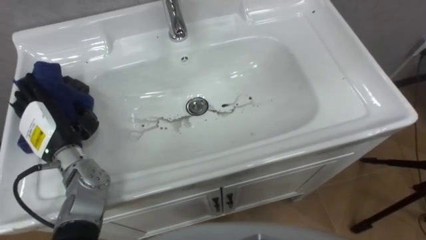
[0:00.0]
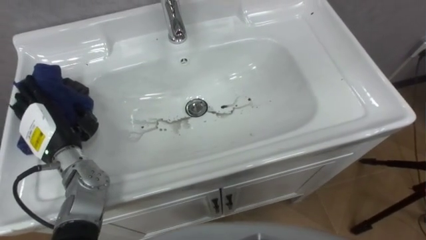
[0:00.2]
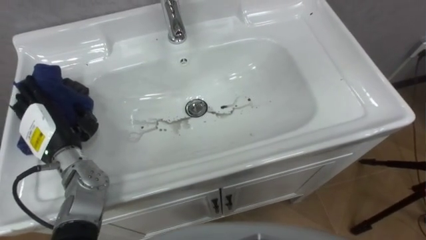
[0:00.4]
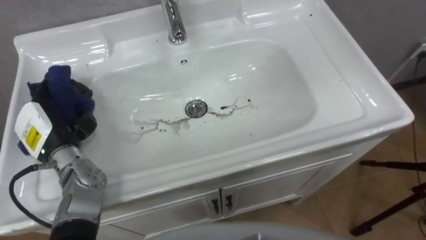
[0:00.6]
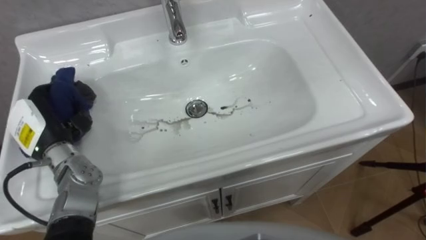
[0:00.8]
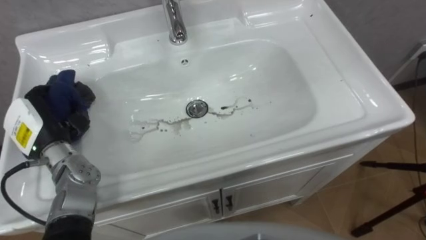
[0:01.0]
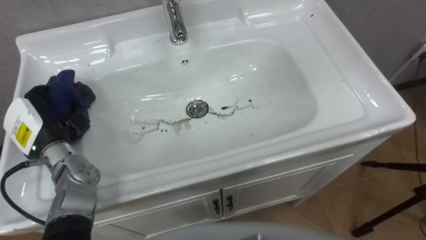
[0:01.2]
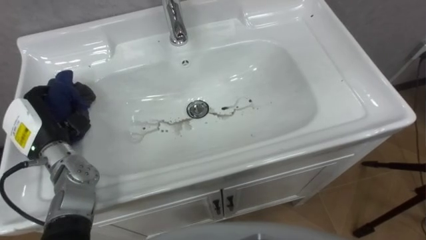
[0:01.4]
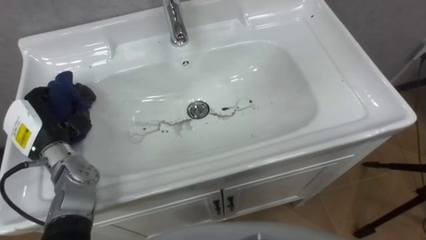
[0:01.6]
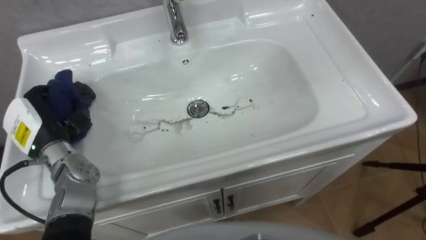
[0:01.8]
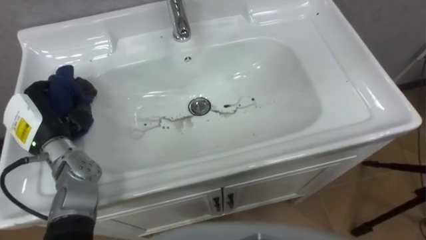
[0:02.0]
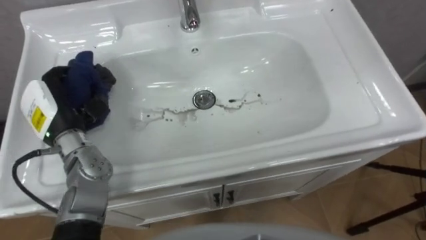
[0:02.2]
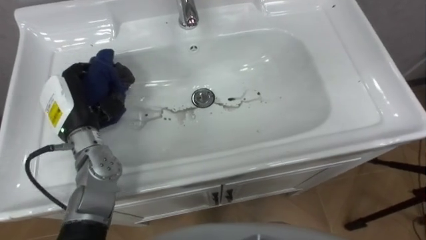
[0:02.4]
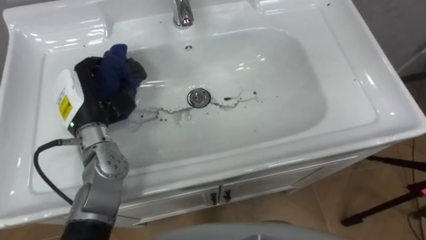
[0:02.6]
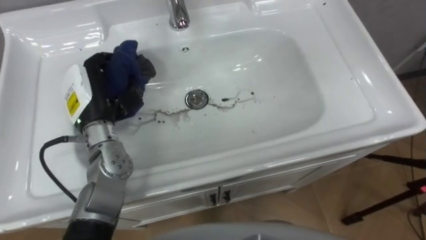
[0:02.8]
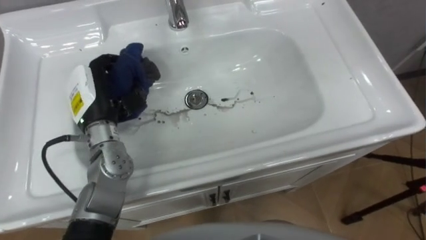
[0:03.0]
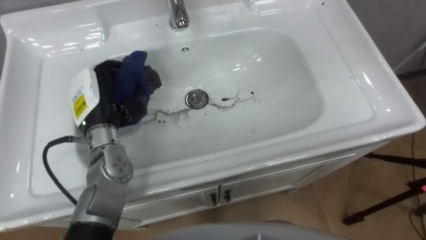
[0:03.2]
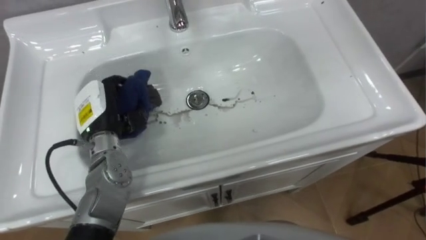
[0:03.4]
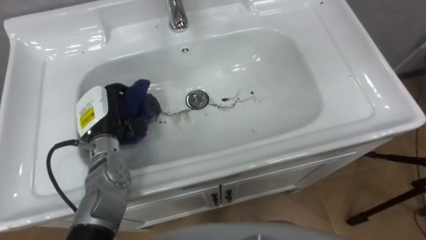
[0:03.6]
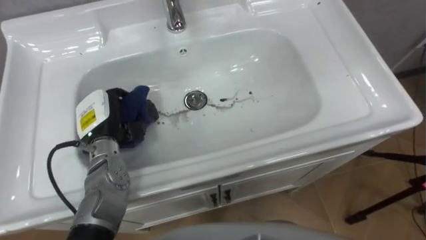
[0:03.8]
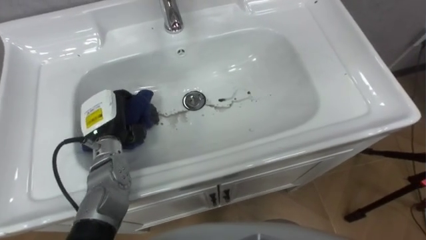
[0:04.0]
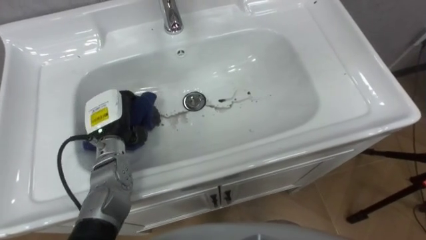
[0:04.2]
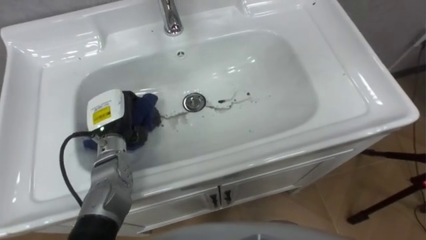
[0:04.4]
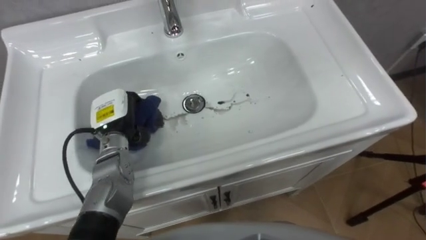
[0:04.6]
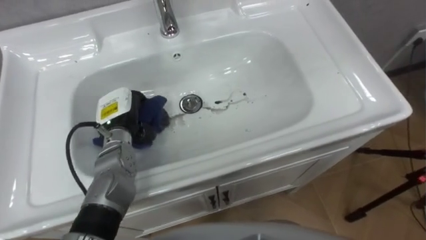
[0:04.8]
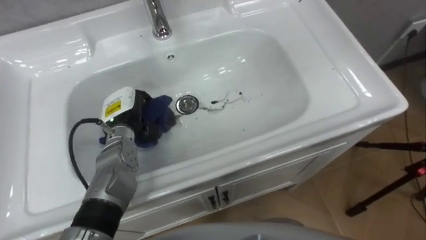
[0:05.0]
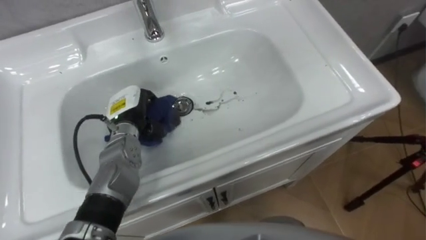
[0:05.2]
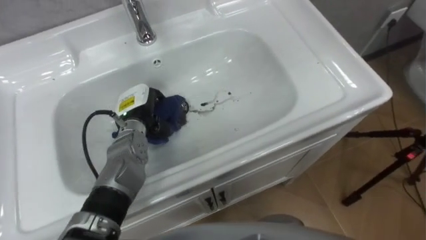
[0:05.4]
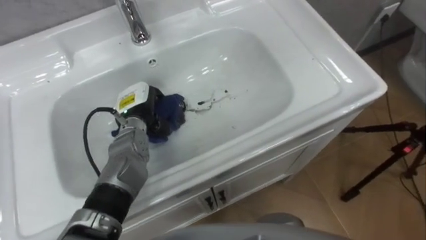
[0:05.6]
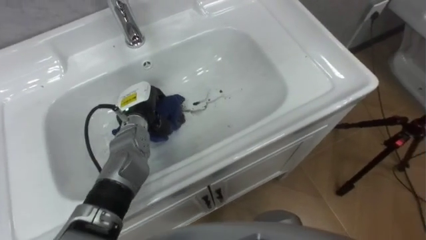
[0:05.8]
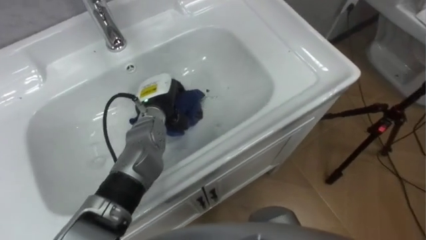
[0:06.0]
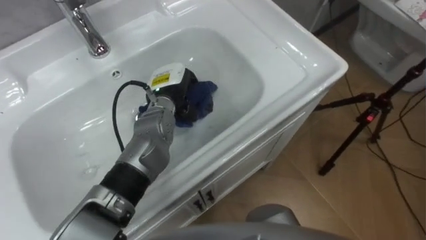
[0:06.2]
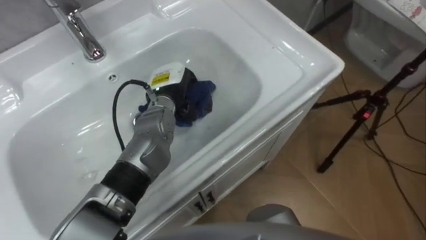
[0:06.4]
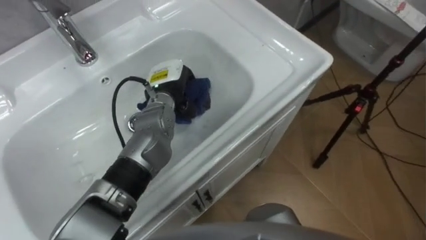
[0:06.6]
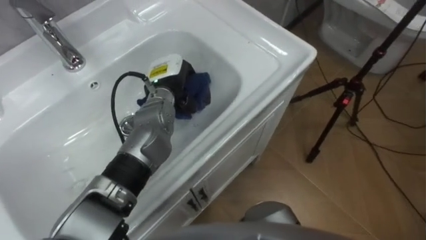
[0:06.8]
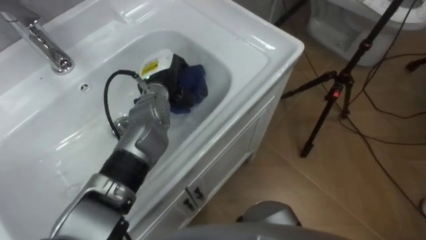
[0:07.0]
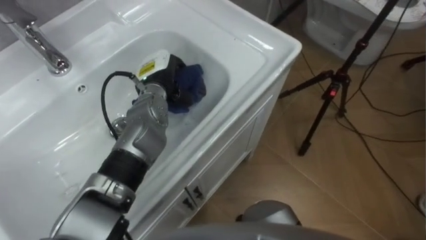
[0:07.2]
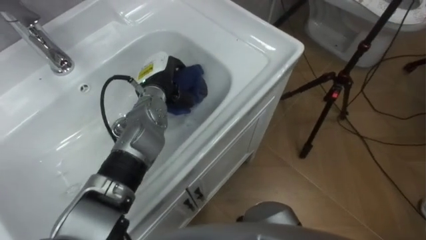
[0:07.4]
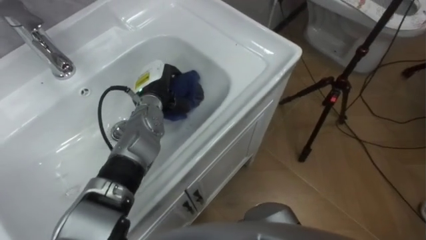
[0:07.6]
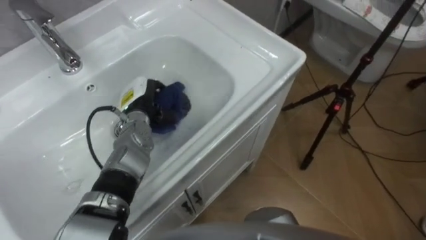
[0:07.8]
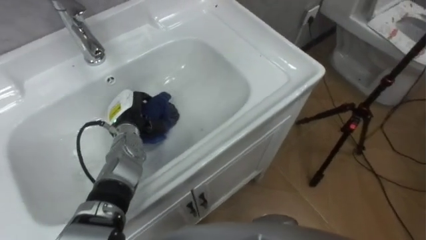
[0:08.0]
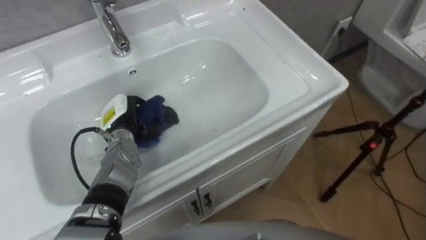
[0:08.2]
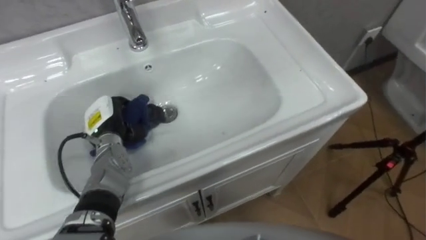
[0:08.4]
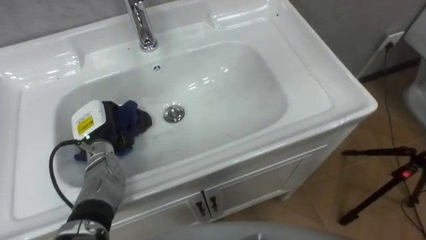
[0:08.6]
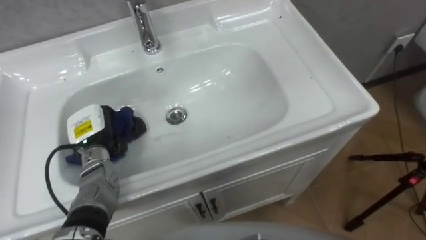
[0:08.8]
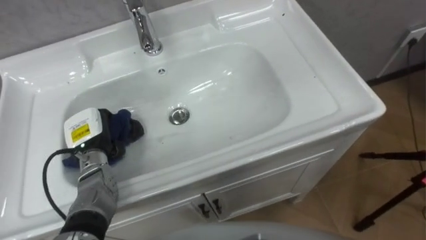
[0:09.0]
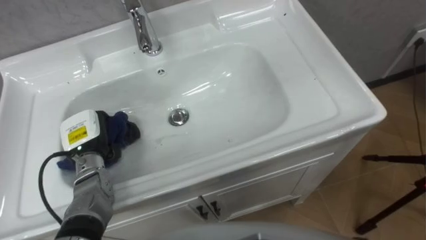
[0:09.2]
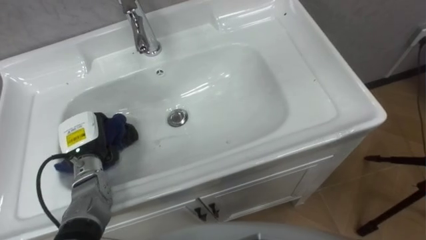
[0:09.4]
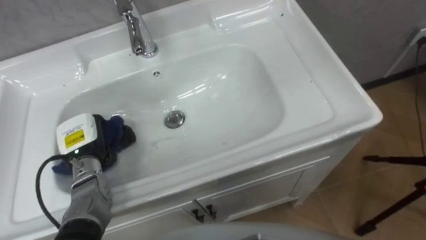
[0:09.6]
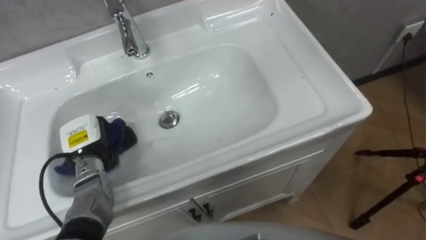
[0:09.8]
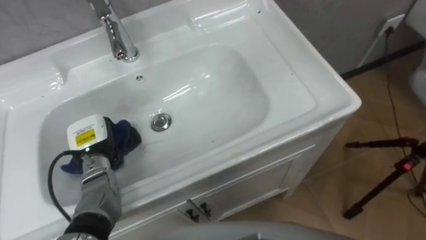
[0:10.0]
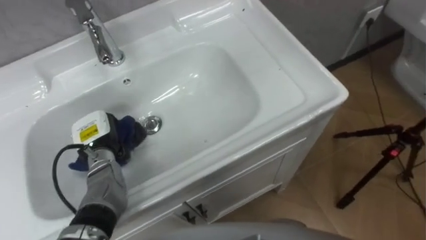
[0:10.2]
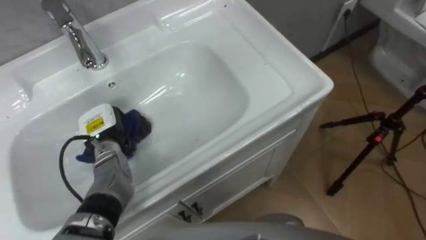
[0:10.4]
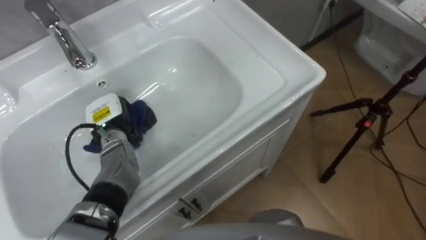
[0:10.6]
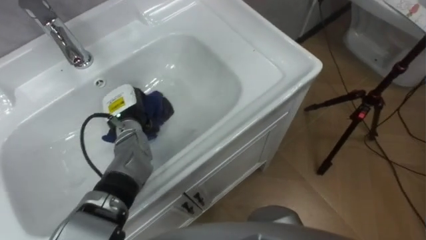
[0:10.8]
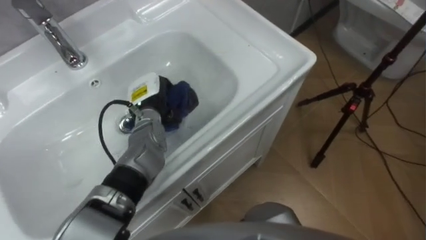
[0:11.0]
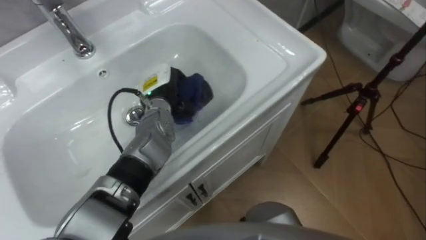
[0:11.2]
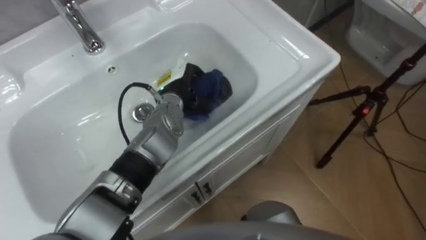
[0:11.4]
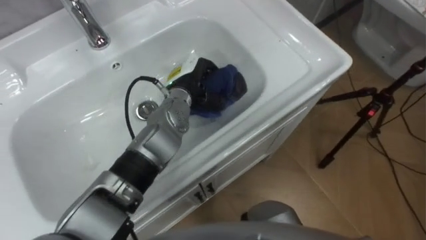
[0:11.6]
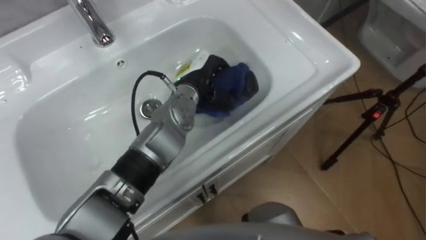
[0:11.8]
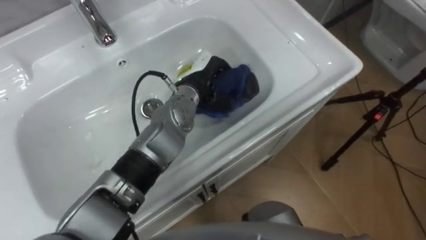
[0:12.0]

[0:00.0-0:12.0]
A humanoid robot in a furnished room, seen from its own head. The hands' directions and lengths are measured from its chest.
Task of the whole recording: Use the cloth on the right to wipe away the black stain in the sink.
0:00.0 to 0:01.6: The left hand closes up.
0:01.6 to 0:03.0: The left hand moves to the right and upward, roughly 10 cm.
0:03.0 to 0:04.4: The left hand goes roughly 5 cm downward.
0:04.4 to 0:06.0: The left hand moves to the right, about 10 cm.
0:07.6 to 0:09.0: The left hand shifts roughly 20 cm to the left and backward.
0:10.4 to 0:12.0: The left hand moves to the right, upward and forward, about 25 cm.

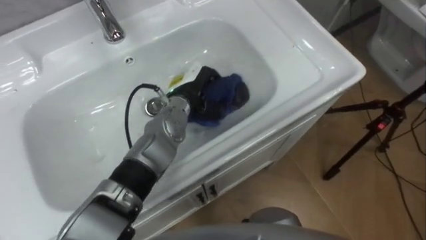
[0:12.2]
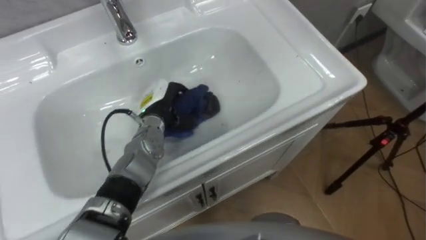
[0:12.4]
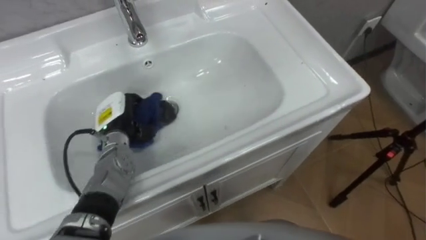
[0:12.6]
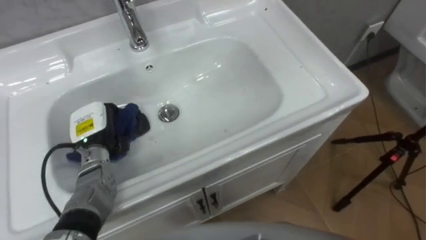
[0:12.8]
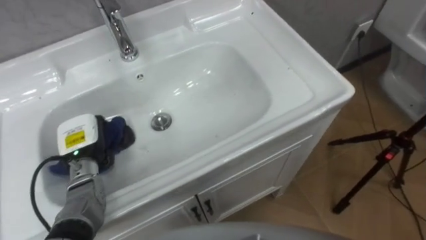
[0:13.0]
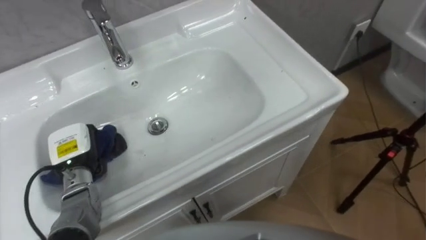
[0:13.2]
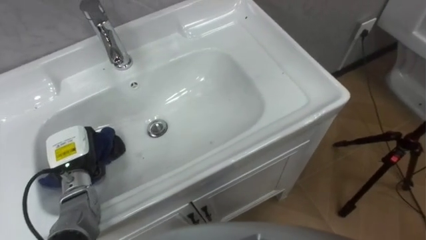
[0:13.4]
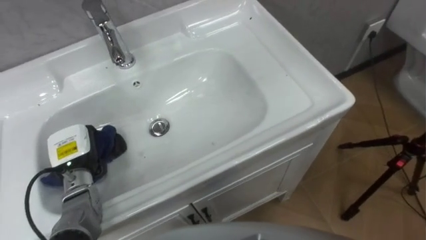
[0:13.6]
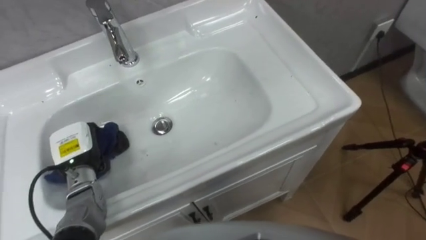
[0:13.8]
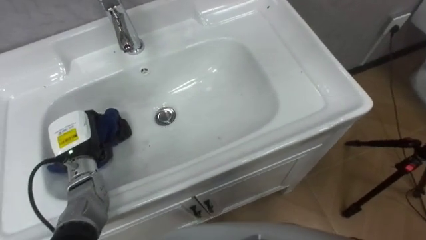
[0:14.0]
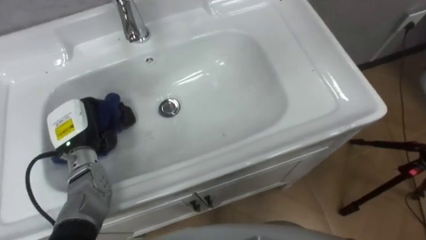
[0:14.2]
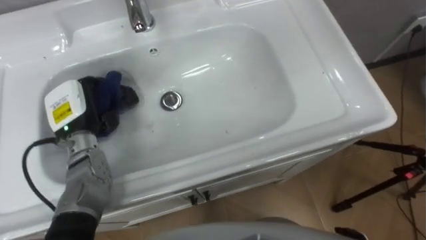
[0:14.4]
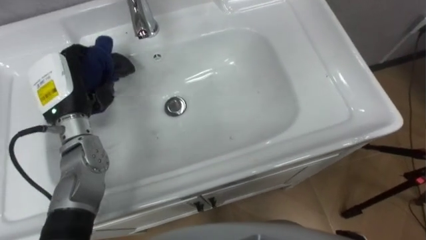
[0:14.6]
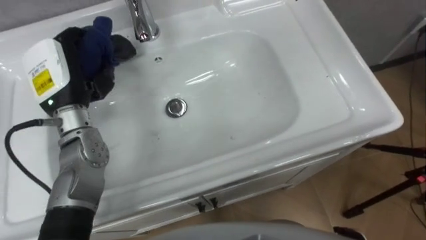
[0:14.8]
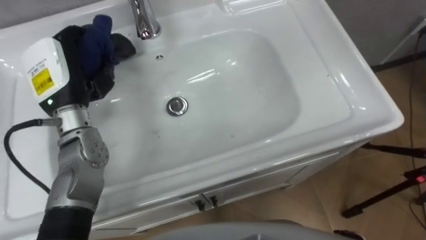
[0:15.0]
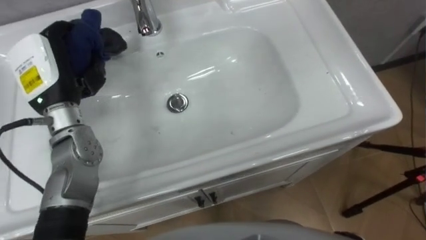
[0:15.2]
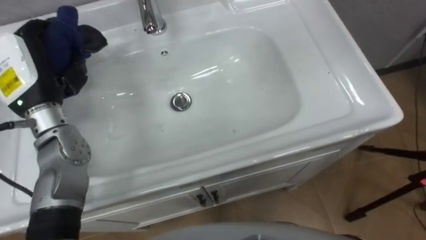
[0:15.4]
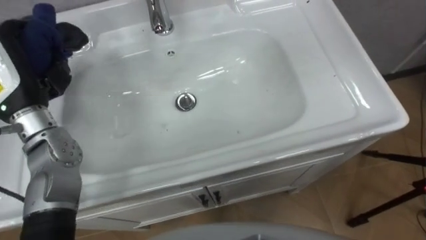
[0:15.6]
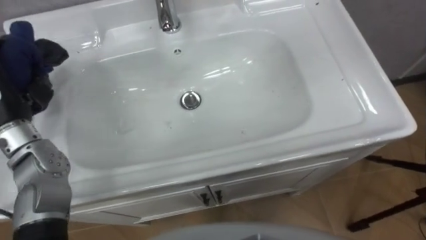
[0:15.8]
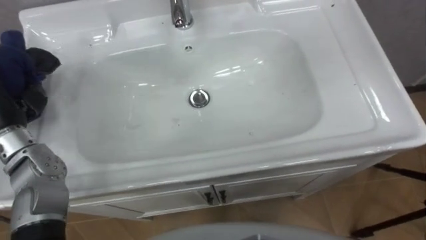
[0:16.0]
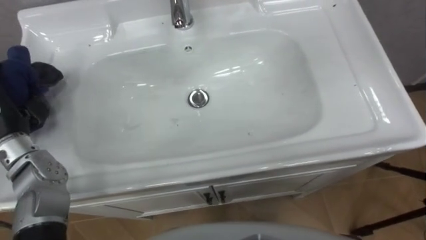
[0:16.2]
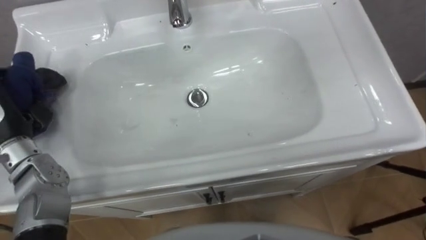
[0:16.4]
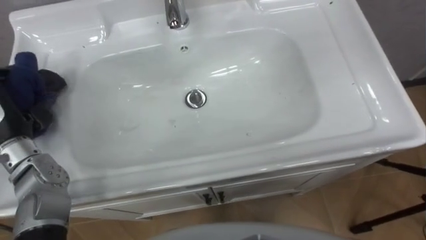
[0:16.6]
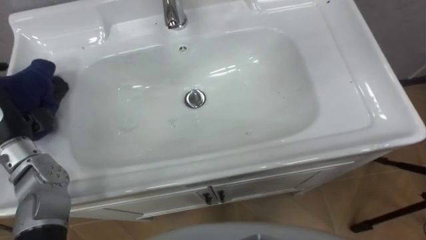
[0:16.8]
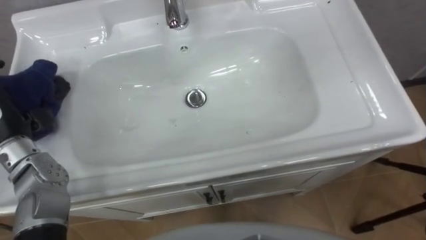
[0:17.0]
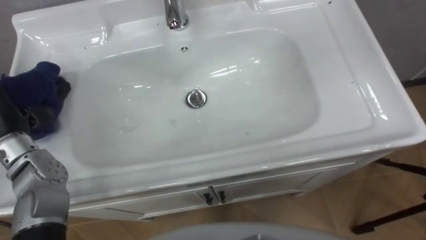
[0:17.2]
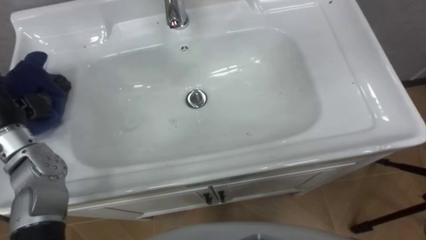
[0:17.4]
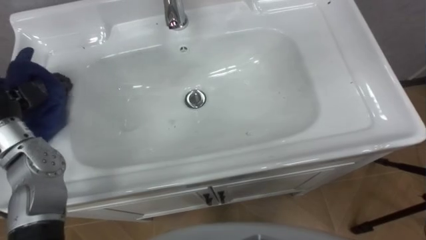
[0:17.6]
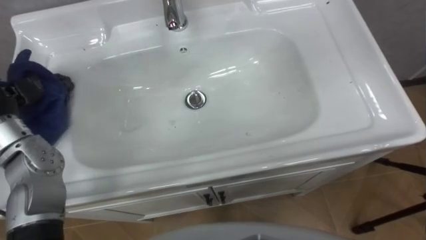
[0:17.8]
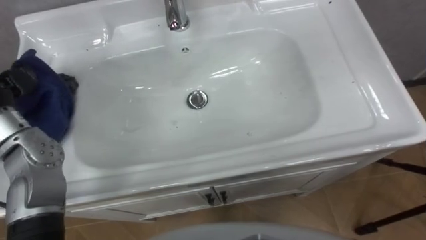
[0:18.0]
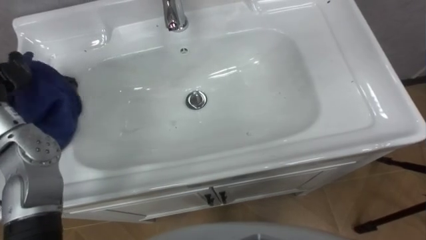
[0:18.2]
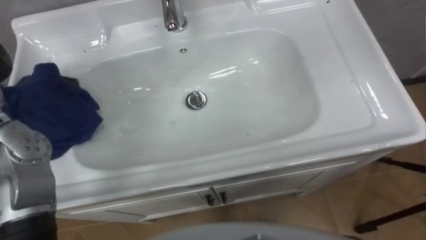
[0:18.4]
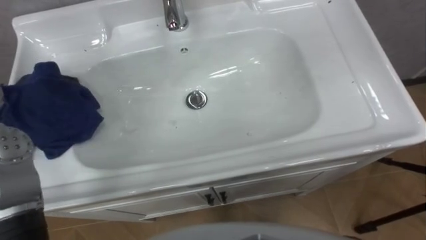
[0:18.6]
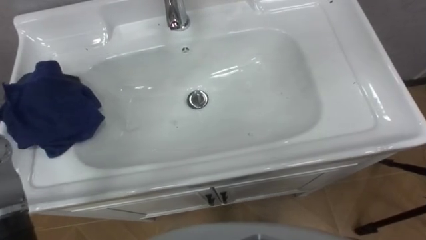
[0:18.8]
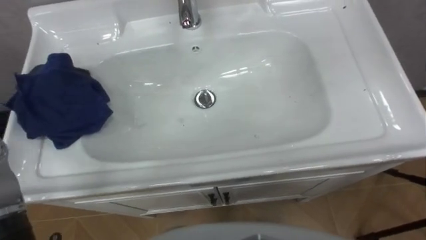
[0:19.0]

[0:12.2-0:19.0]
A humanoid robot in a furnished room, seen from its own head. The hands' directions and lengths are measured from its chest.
Task of the whole recording: Use the cloth on the right to wipe away the black stain in the sink.
0:12.2 to 0:13.6: The left hand travels to the left and backward by some 30 cm.
0:13.6 to 0:15.0: The left hand goes approximately 20 cm upward and forward.
